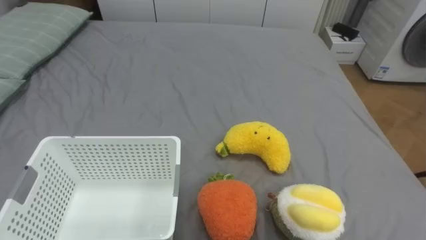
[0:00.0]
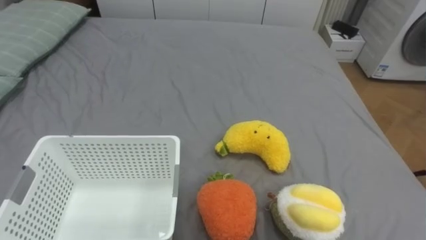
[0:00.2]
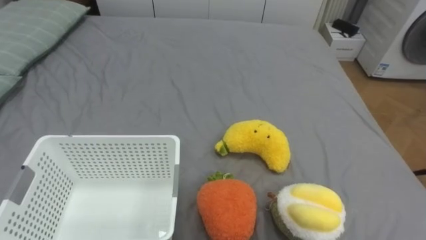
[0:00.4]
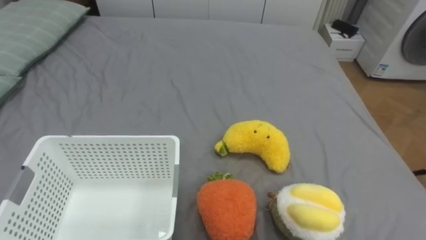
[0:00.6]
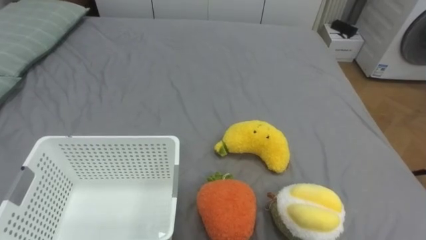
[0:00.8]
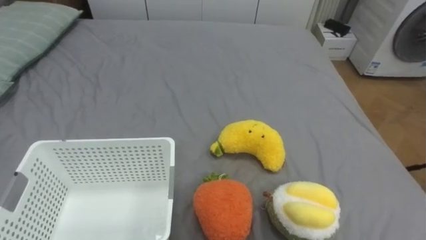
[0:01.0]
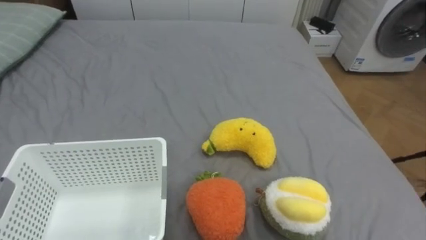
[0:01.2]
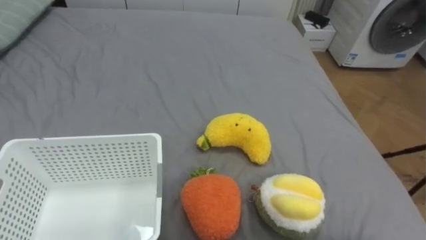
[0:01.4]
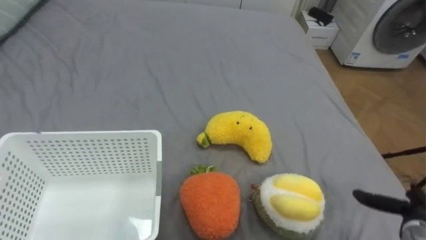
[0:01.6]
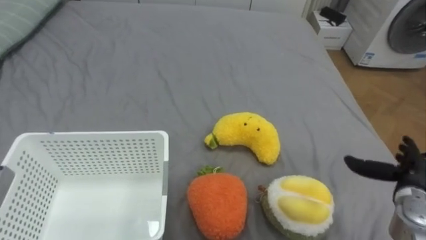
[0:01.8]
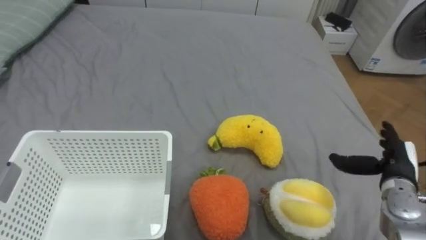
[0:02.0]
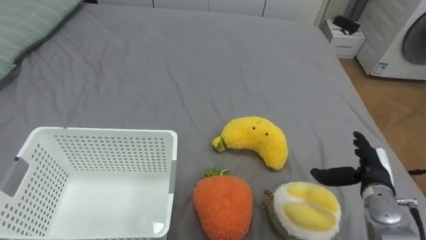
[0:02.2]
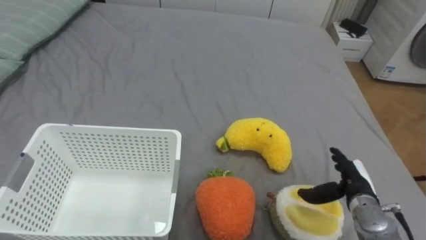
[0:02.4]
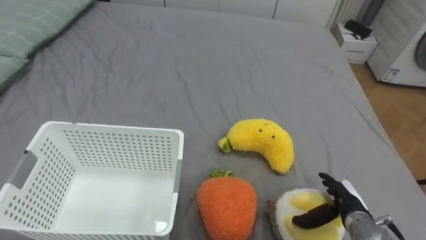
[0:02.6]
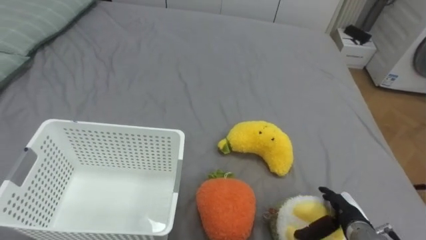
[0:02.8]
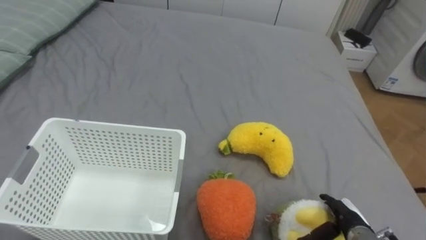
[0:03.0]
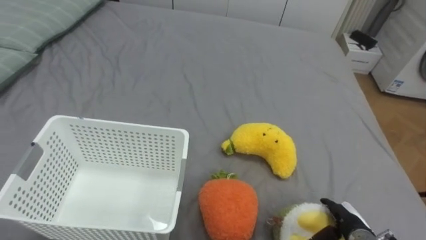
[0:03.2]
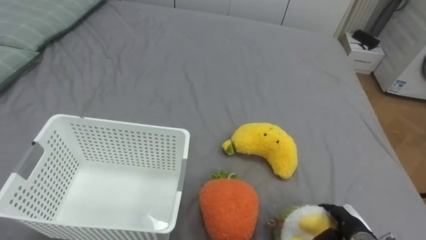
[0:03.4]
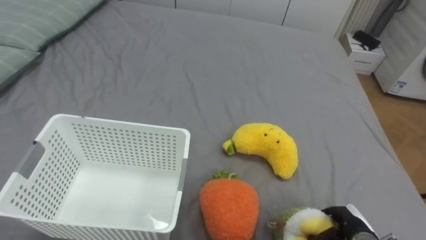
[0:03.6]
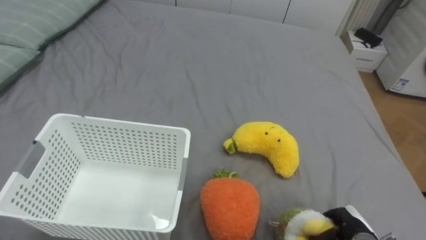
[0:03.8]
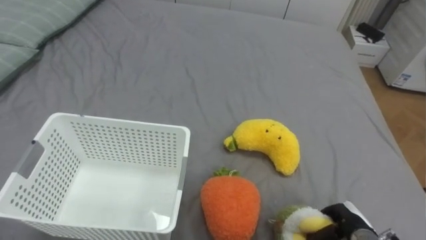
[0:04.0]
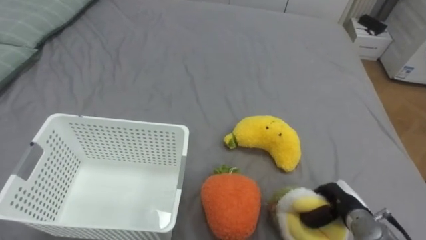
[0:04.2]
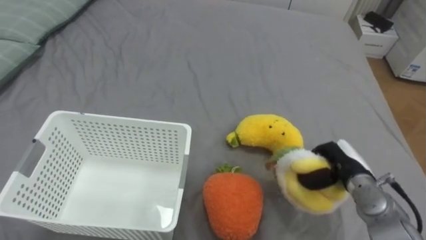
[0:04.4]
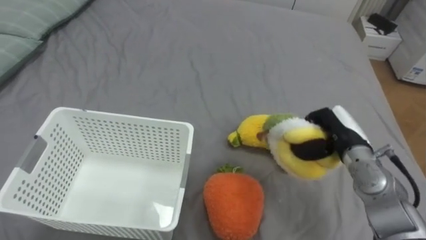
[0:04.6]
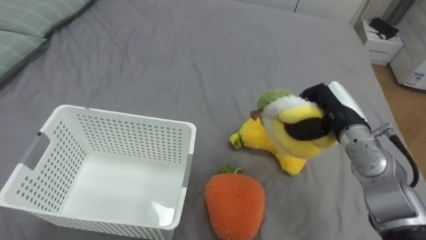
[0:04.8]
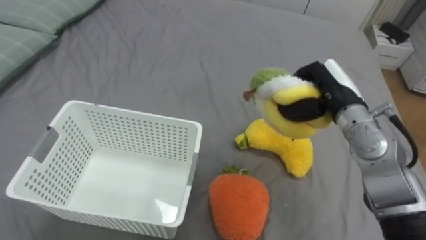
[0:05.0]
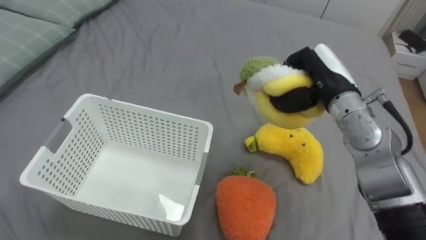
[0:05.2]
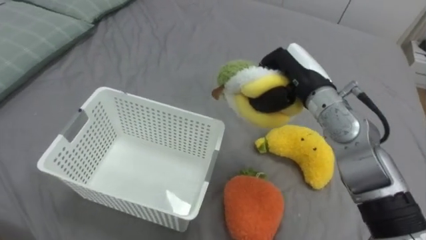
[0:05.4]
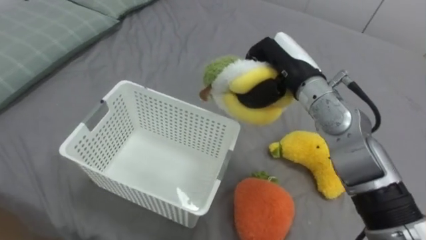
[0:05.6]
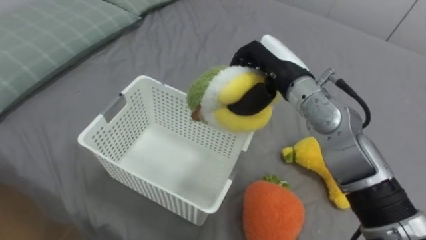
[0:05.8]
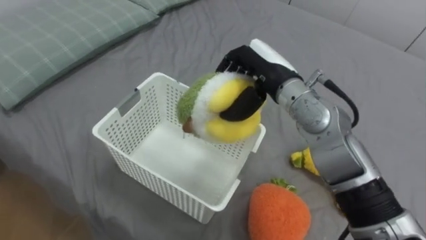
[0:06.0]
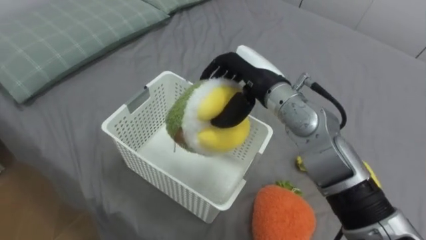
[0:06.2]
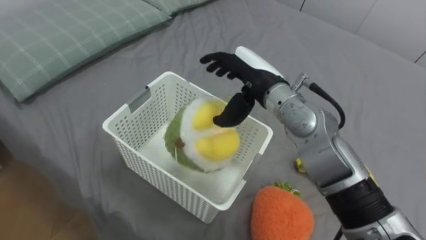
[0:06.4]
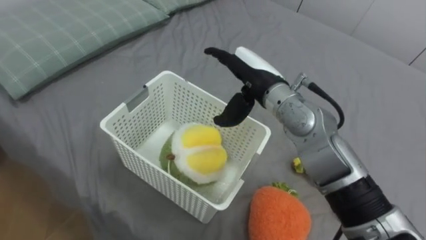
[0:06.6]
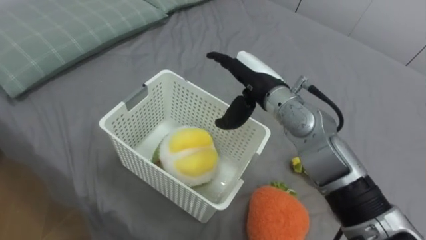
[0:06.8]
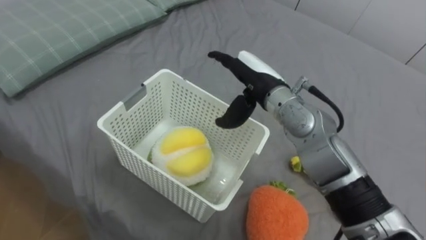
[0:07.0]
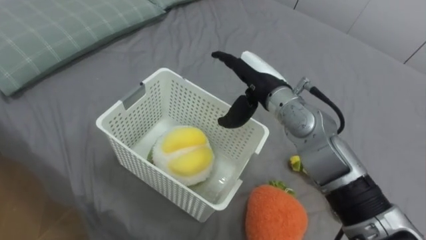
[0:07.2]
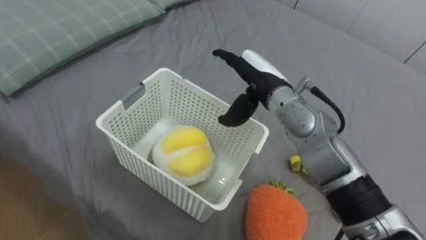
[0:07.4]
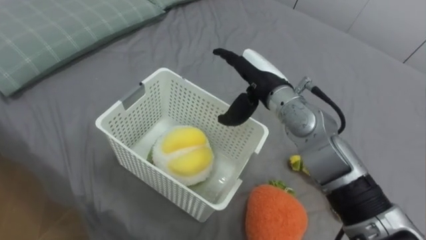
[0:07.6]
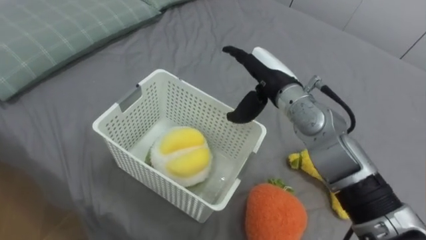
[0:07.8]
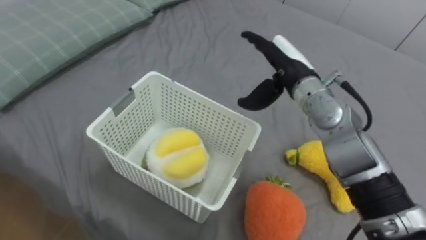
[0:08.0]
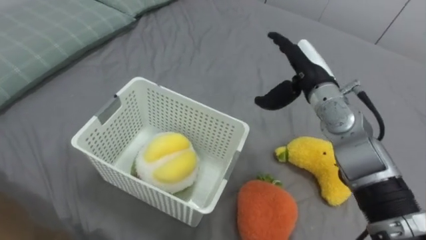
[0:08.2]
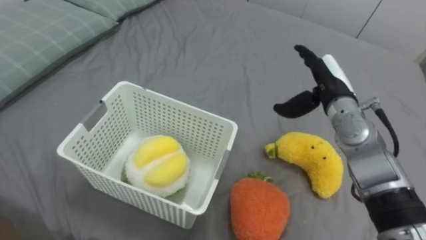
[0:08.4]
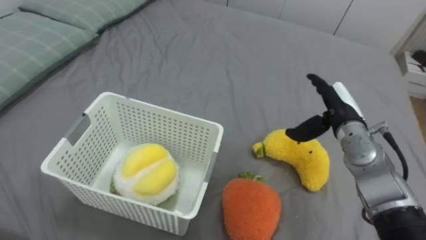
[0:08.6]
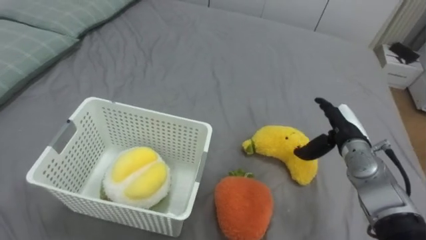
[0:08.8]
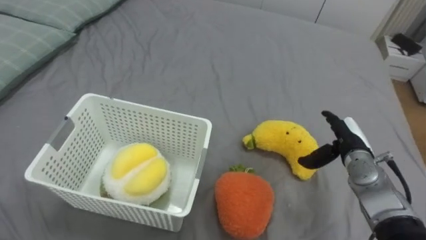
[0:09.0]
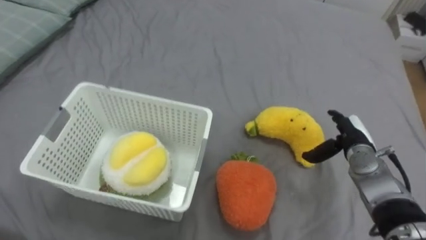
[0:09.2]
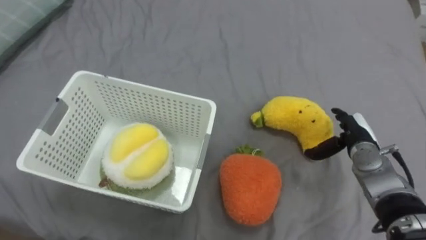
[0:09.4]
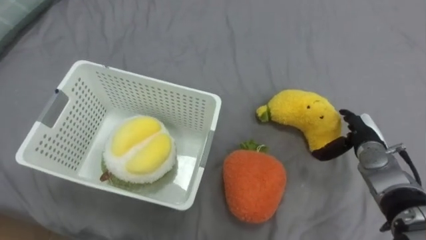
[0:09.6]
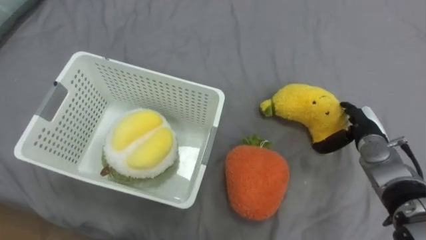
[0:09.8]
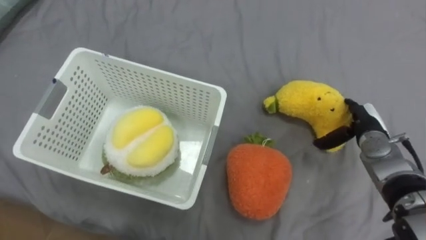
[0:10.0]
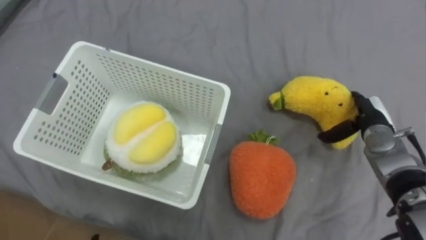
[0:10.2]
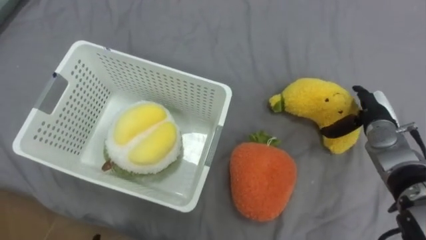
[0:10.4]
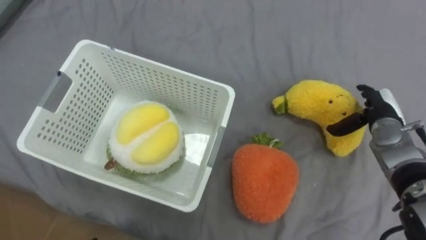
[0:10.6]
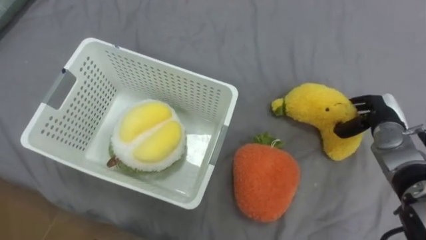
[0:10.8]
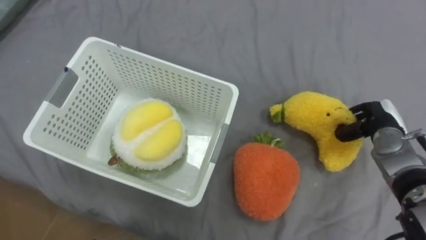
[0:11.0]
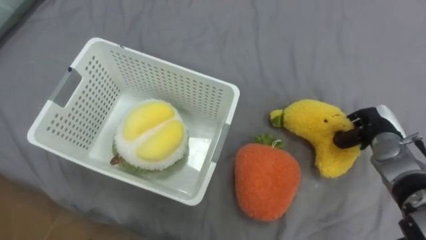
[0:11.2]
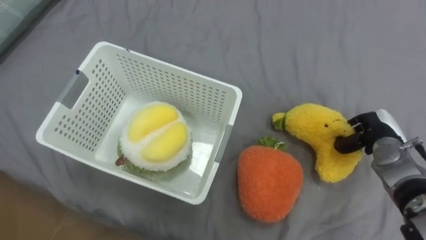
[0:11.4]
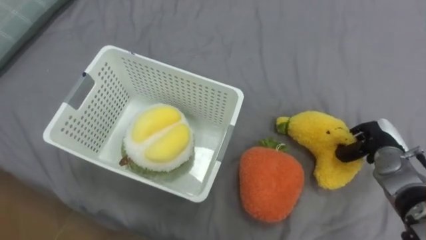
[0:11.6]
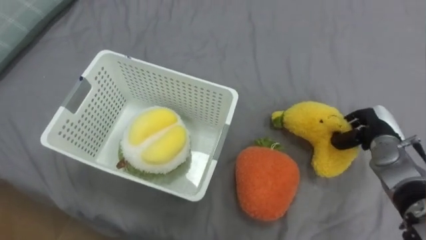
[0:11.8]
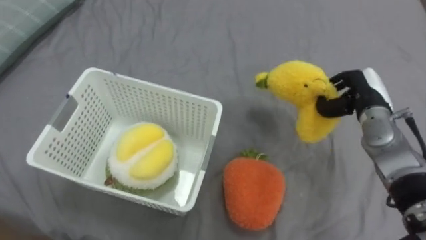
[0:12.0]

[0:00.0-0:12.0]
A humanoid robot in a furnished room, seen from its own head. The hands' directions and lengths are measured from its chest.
Task of the whole recording: Put the toys on the bed into the basket on the left.
0:01.6 to 0:03.0: The right hand shifts about 10 cm to the left.
0:03.0 to 0:04.4: The right hand is displaced upward and forward by about 15 cm, and closes its fingers.
0:04.4 to 0:06.0: The right hand goes approximately 25 cm upward, to the left and forward.
0:06.0 to 0:07.6: The right hand opens its fingers.
0:07.6 to 0:09.0: The right hand travels to the right and downward by about 25 cm.
0:09.0 to 0:10.4: The right hand changes place by some 5 cm.
0:10.4 to 0:12.0: The right hand moves approximately 5 cm, and closes up.

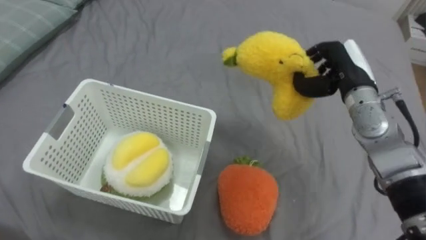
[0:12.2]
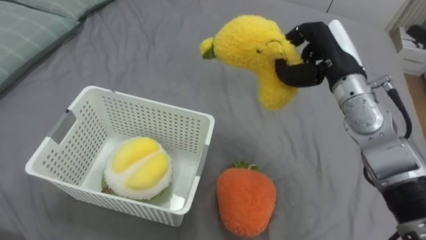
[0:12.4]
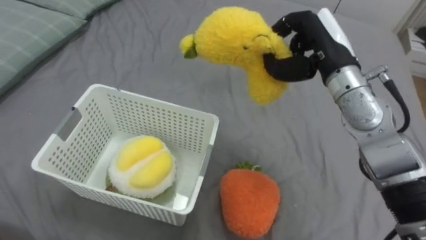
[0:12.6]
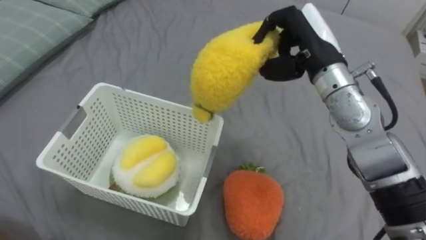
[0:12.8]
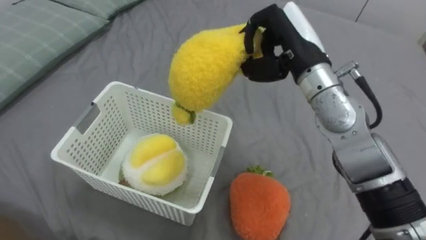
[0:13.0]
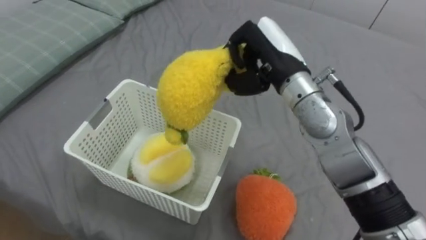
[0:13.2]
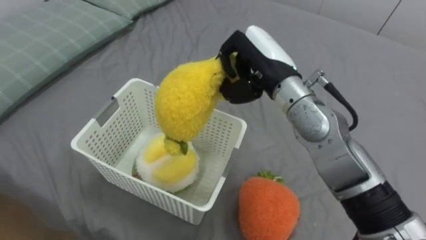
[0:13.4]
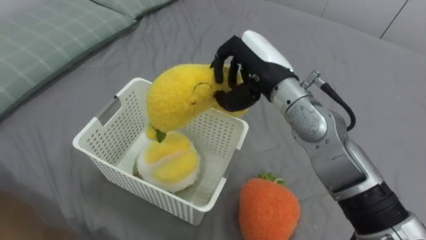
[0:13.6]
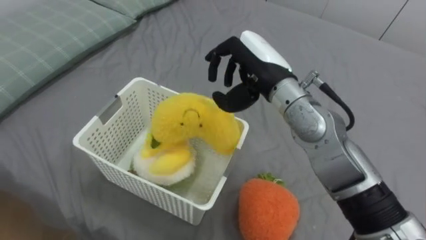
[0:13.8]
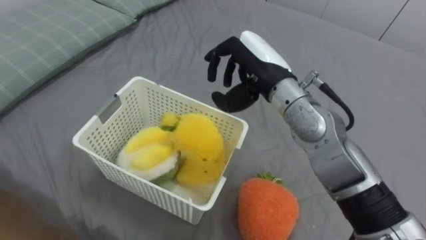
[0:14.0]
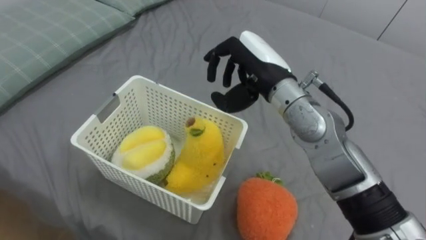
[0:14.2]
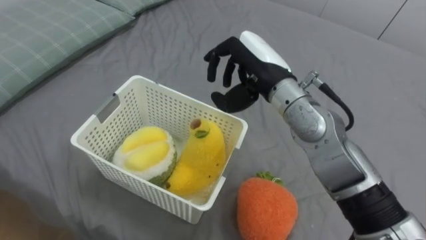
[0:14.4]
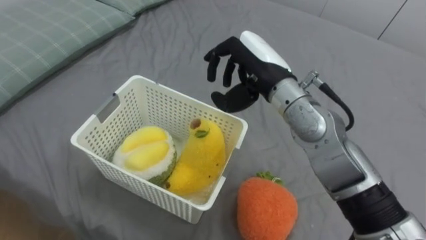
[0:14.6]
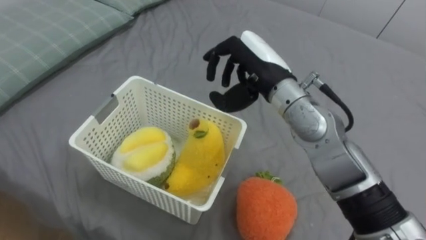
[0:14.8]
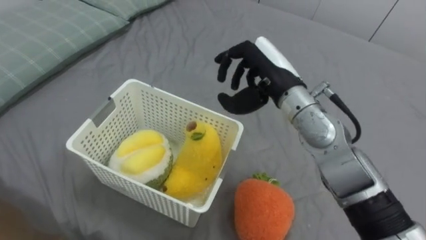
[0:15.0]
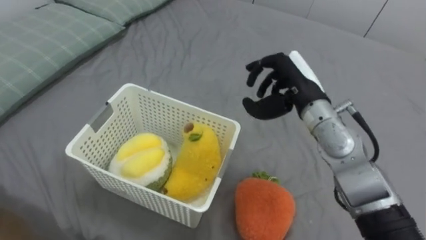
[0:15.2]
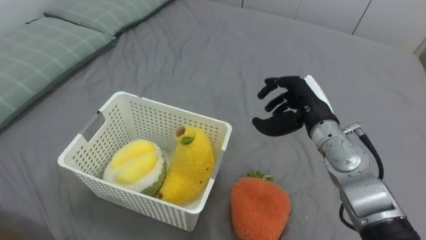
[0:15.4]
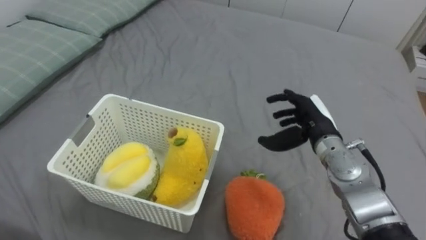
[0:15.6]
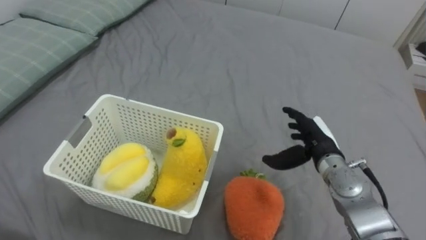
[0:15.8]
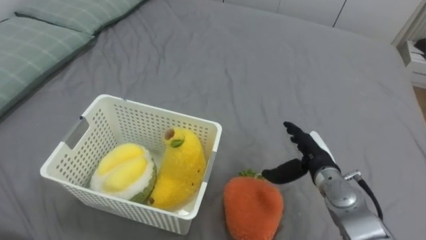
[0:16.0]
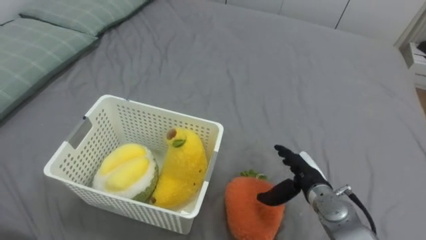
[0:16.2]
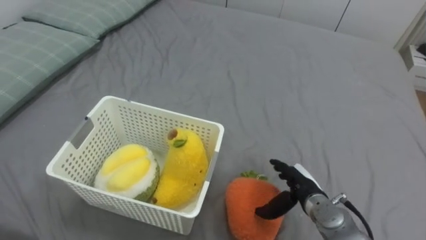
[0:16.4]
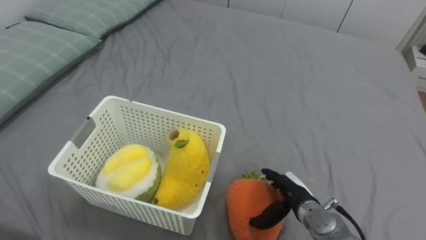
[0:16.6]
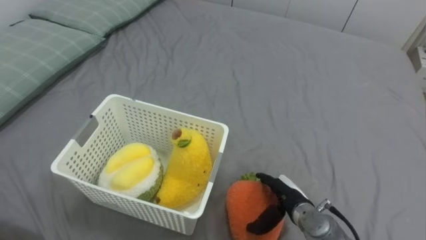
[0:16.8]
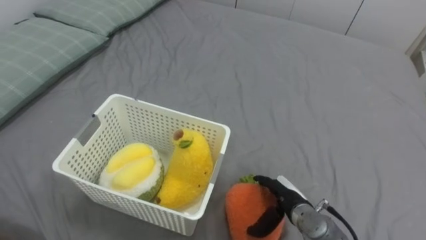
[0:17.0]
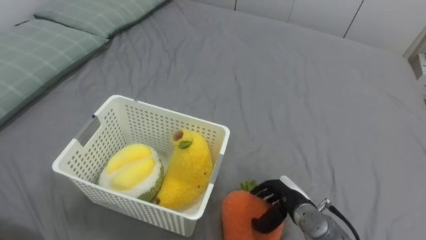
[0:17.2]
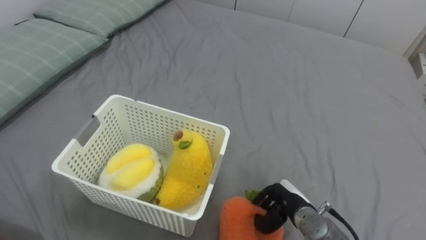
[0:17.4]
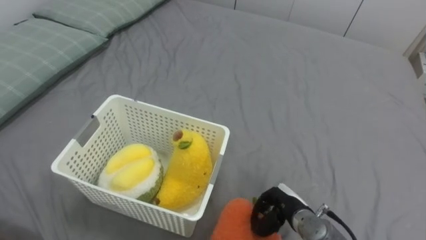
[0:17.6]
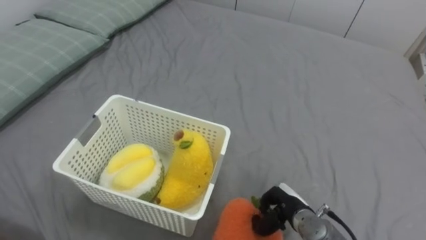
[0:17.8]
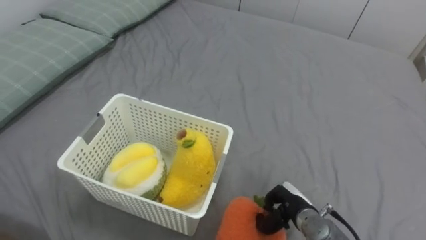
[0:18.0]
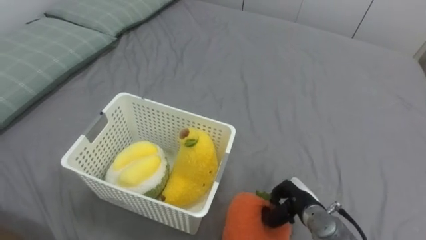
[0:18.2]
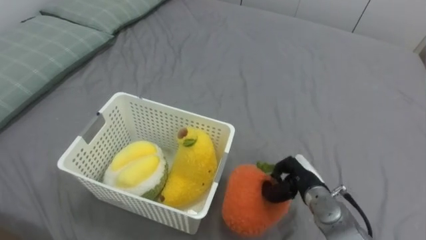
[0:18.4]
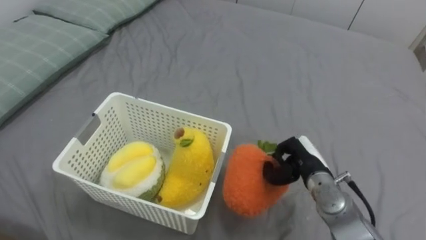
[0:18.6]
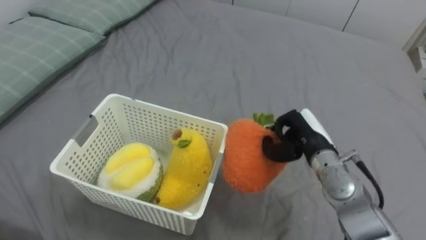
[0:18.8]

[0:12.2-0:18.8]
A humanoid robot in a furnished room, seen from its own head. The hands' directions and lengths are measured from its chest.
Task of the whole recording: Put the toys on the bed into the basket on the left.
0:12.2 to 0:13.8: The right hand heads to the left, covering roughly 15 cm.
0:13.8 to 0:15.4: The right hand heads to the right and downward, covering some 15 cm, and opens.
0:15.4 to 0:17.2: The right hand heads downward and backward, covering roughly 20 cm, and opens, then closes again.
0:17.2 to 0:18.8: The right hand moves upward and forward, approximately 15 cm, and closes up.
